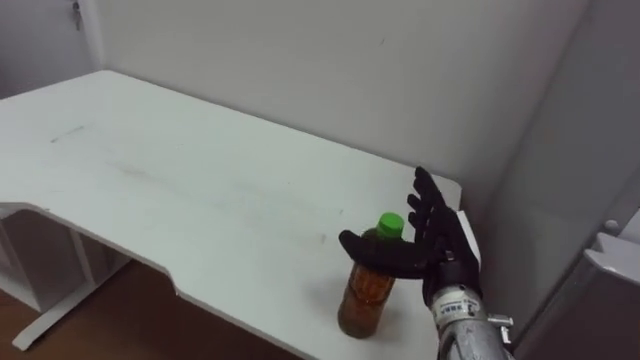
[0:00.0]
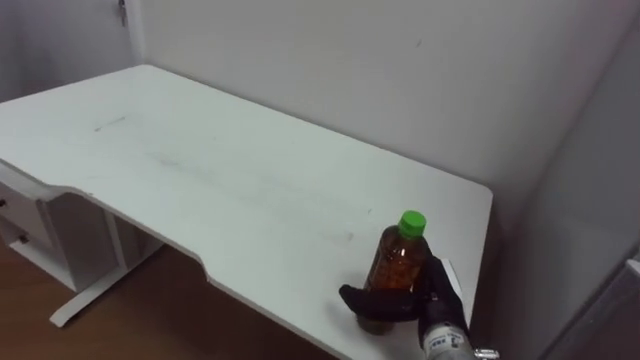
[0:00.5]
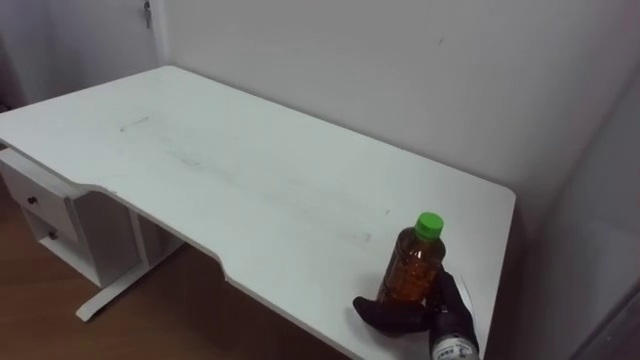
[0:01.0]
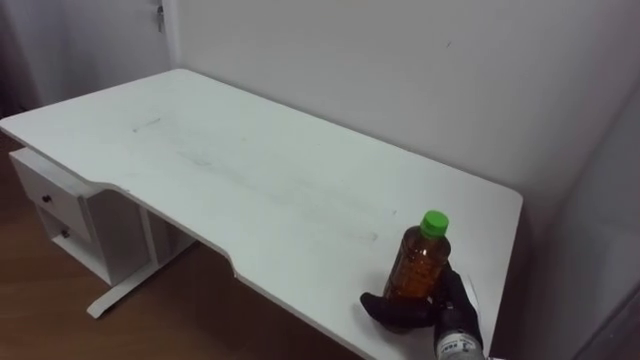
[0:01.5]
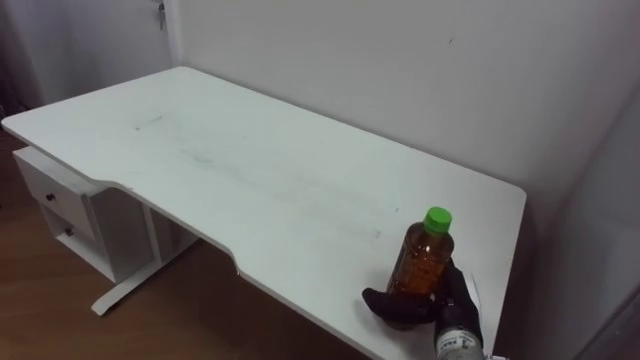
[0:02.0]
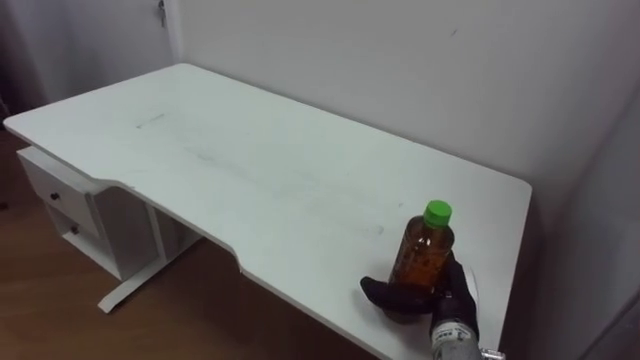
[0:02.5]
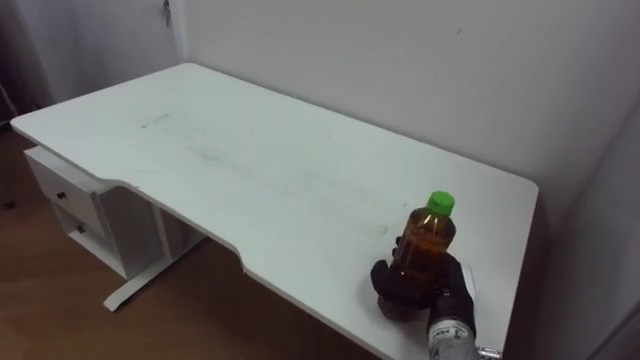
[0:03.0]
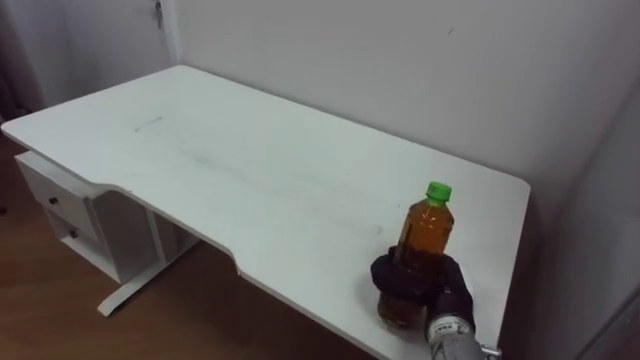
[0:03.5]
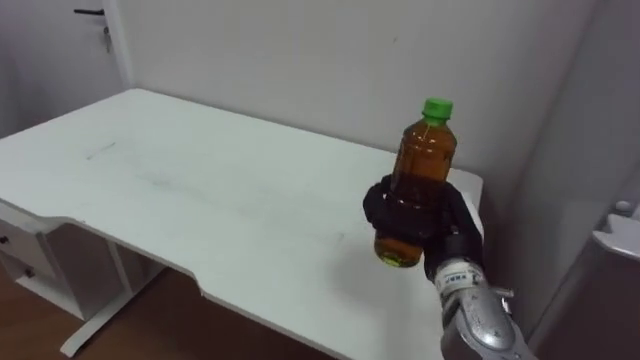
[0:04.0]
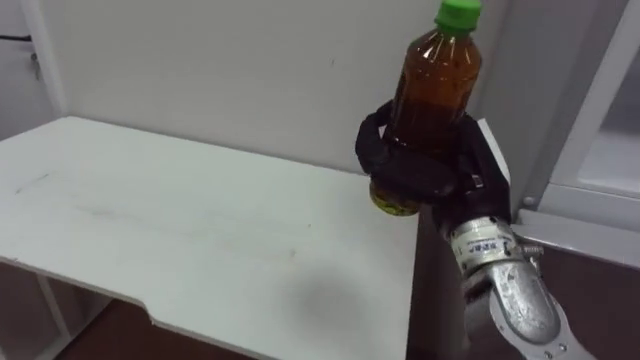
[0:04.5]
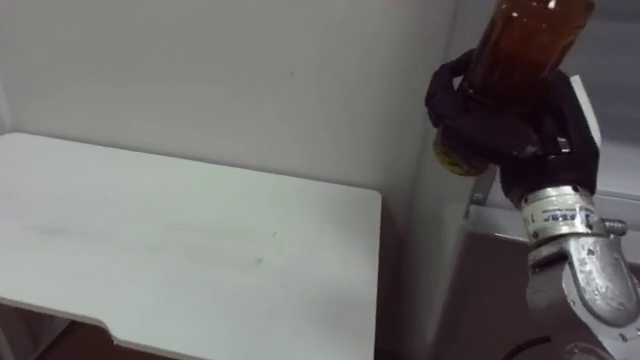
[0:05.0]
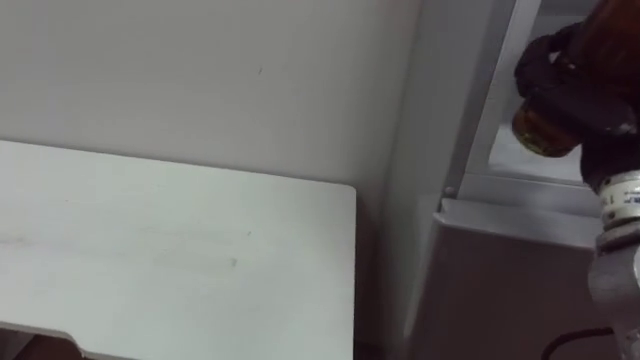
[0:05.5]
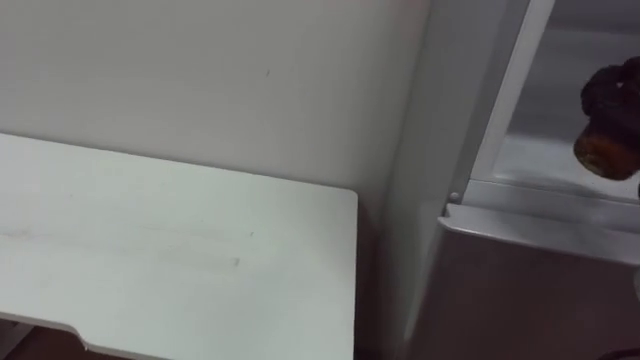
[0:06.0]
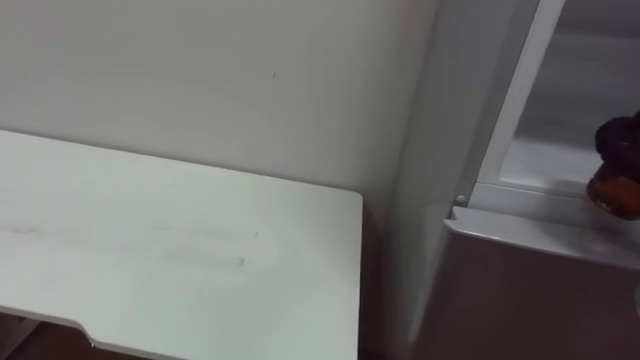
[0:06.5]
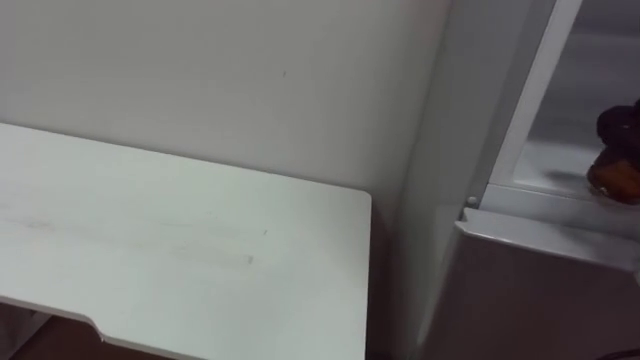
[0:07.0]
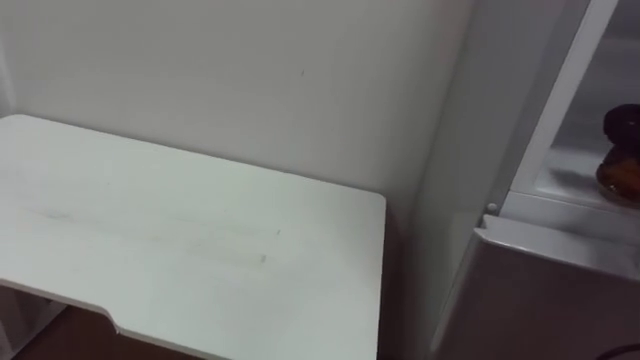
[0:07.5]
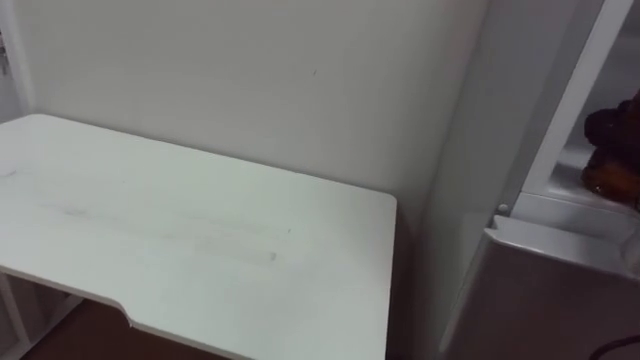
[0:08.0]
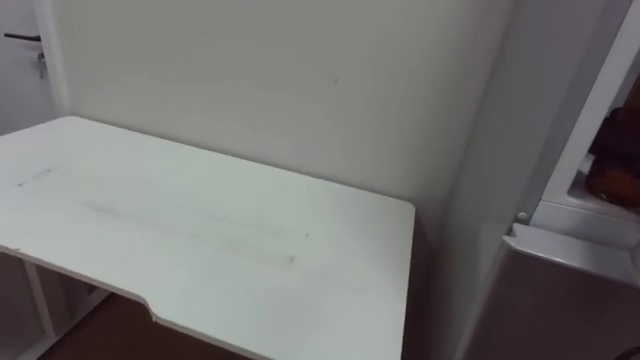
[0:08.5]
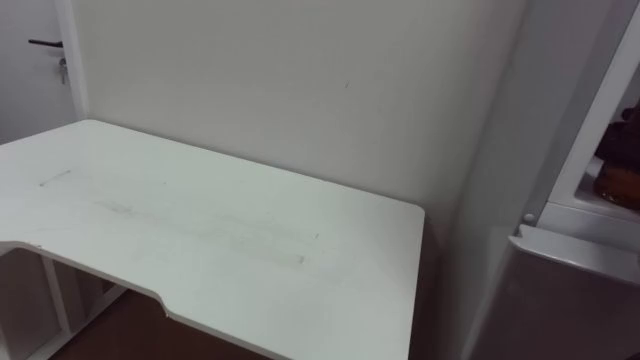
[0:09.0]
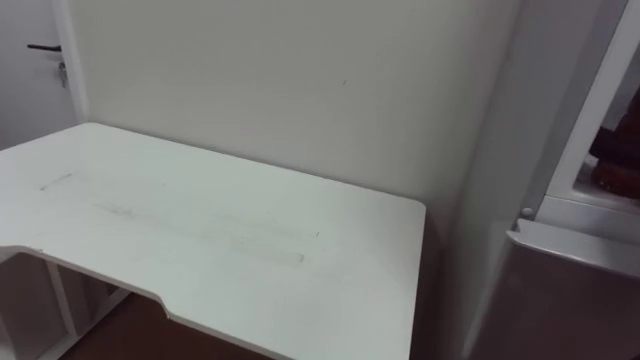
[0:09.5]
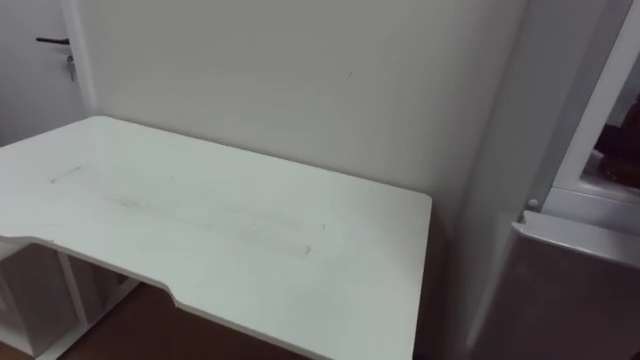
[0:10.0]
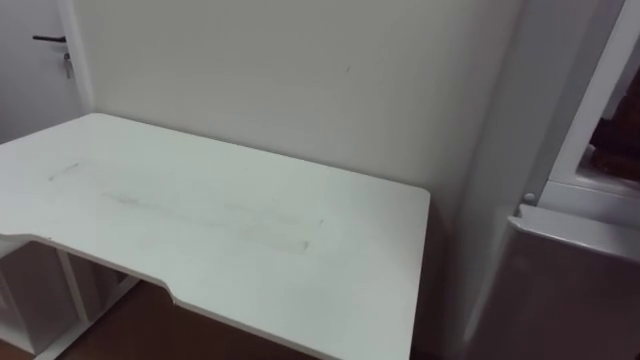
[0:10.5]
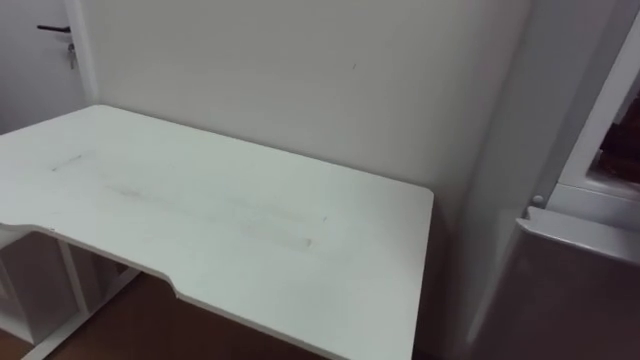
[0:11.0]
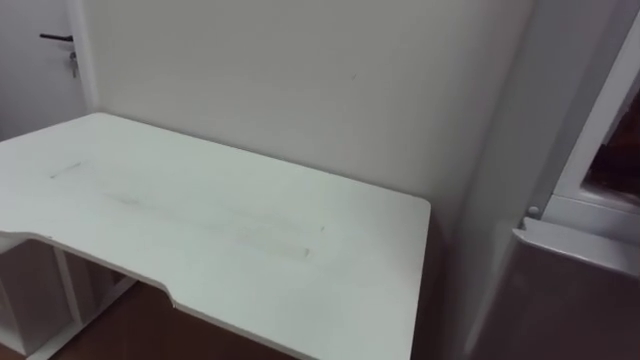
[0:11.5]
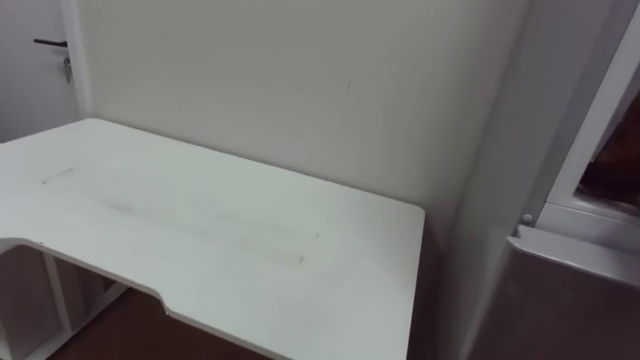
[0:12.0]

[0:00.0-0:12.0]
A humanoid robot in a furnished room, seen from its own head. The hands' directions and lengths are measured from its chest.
Task of the whole recording: Open the upper refrigerator door, put the drink from the table into the refrigerator, and then close the refrigerator door.
0:00.0 to 0:02.0: The right hand shifts some 10 cm downward.
0:02.0 to 0:04.0: The right hand goes approximately 10 cm upward, and closes up.

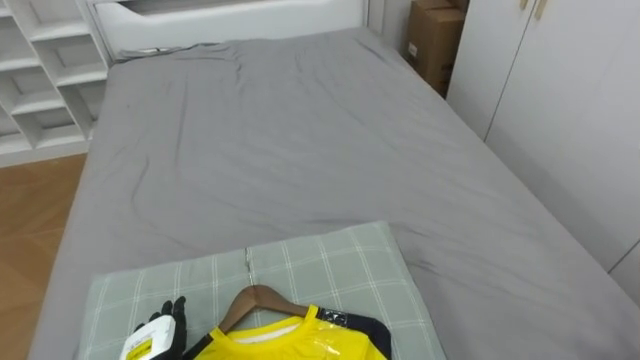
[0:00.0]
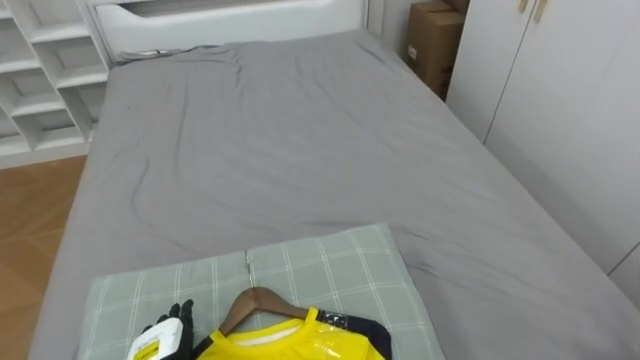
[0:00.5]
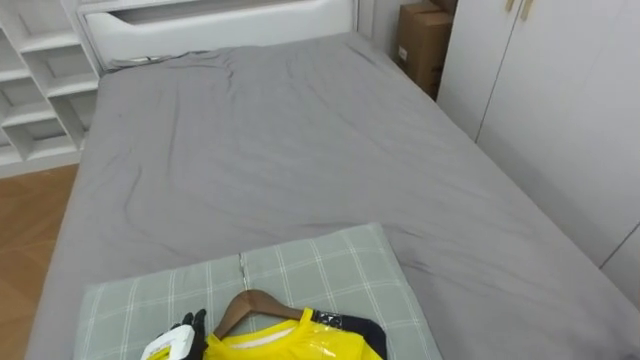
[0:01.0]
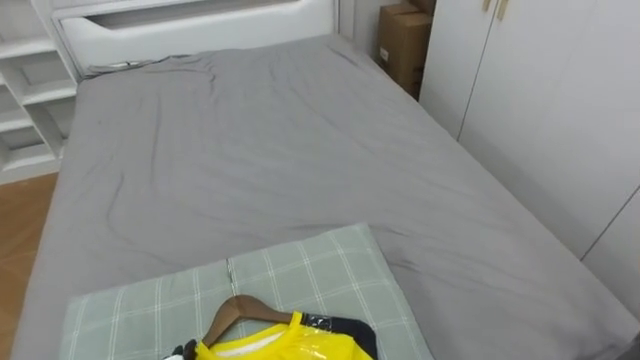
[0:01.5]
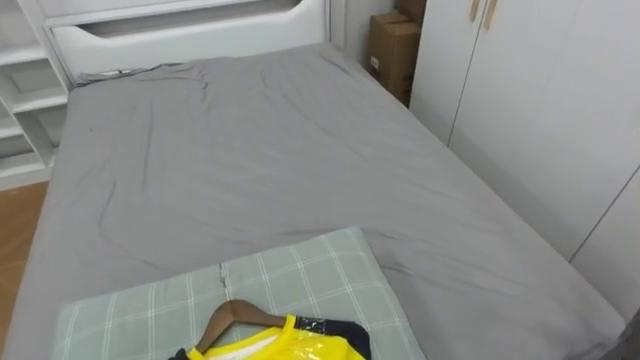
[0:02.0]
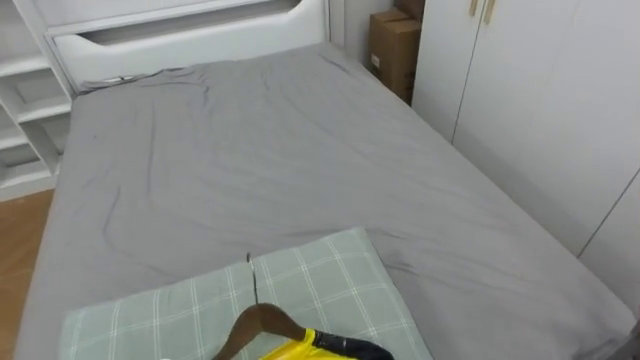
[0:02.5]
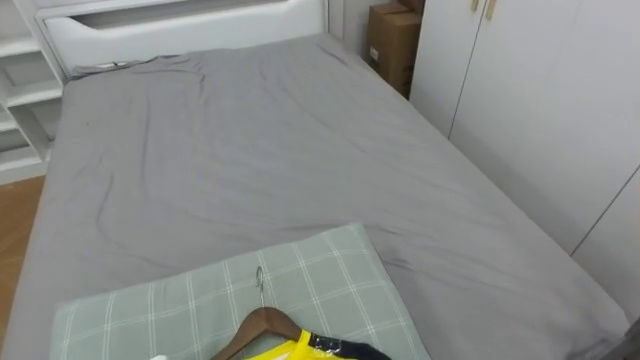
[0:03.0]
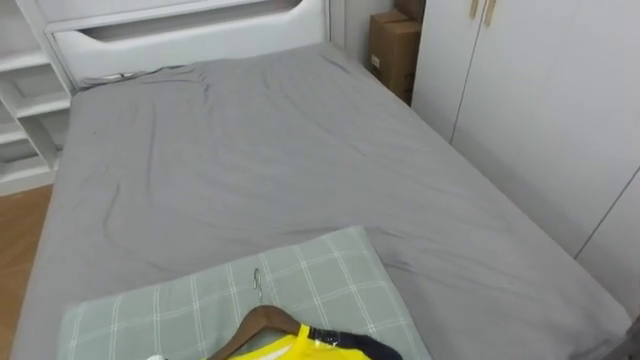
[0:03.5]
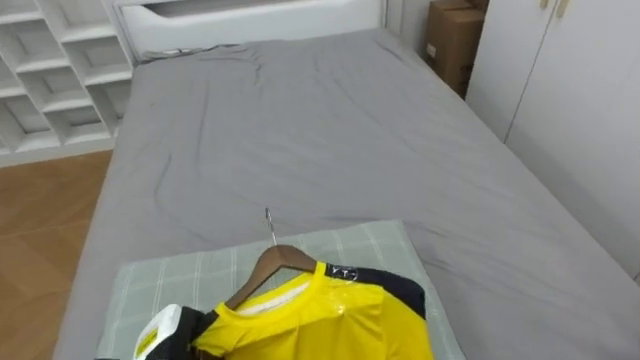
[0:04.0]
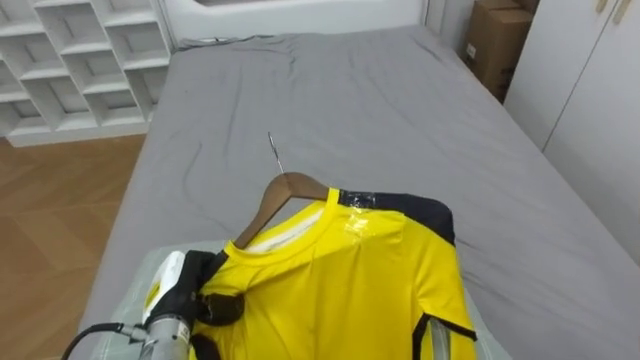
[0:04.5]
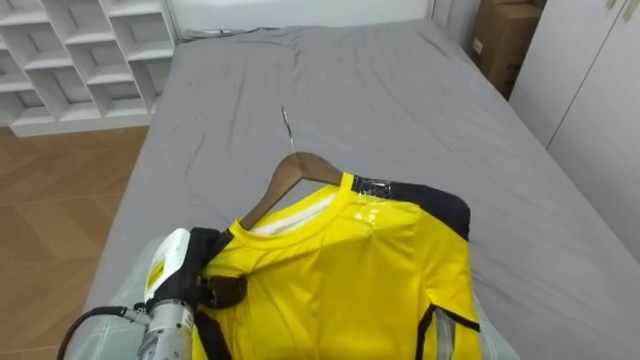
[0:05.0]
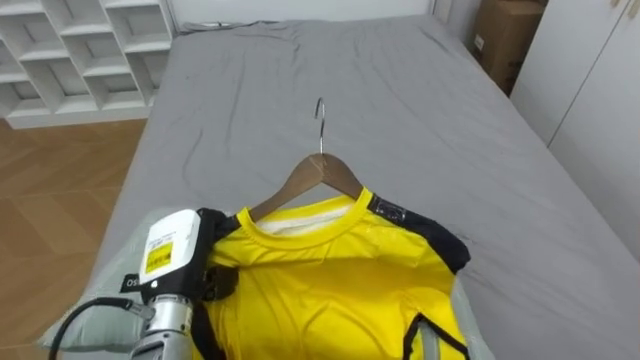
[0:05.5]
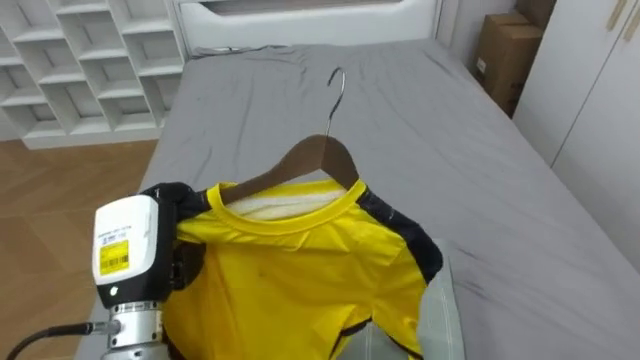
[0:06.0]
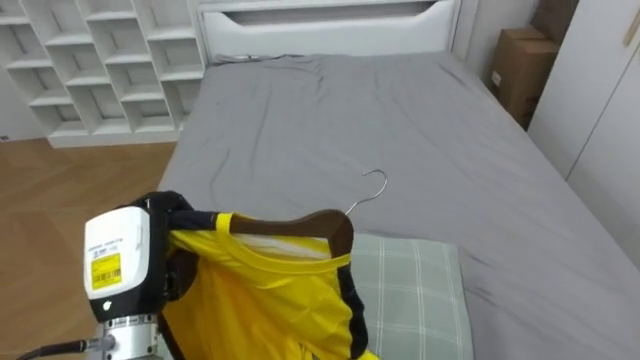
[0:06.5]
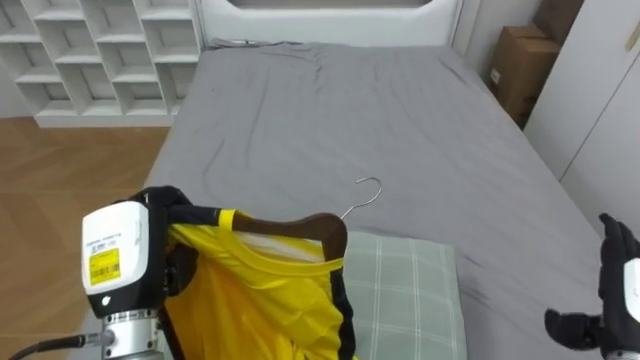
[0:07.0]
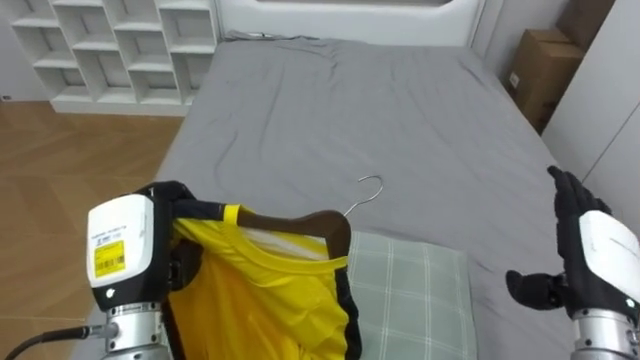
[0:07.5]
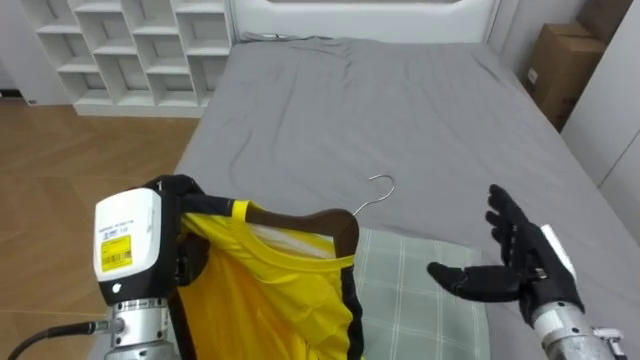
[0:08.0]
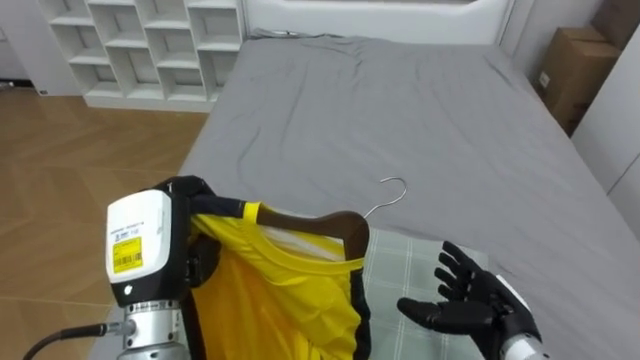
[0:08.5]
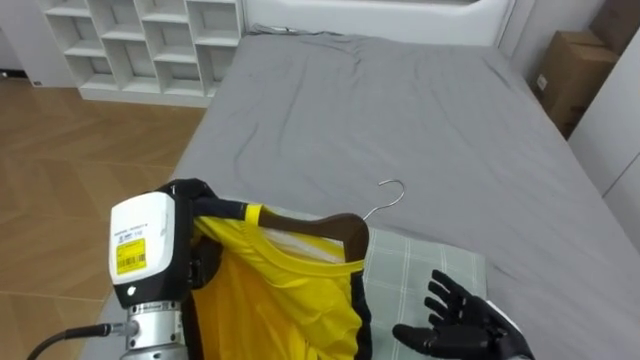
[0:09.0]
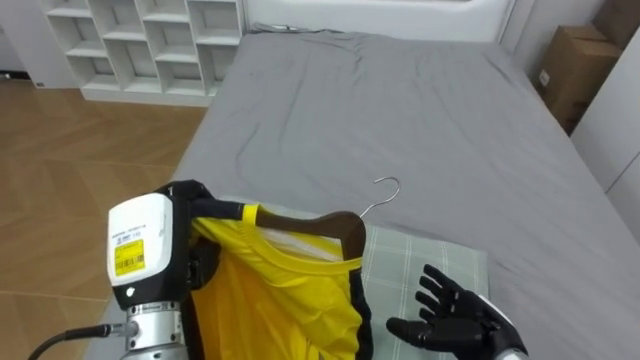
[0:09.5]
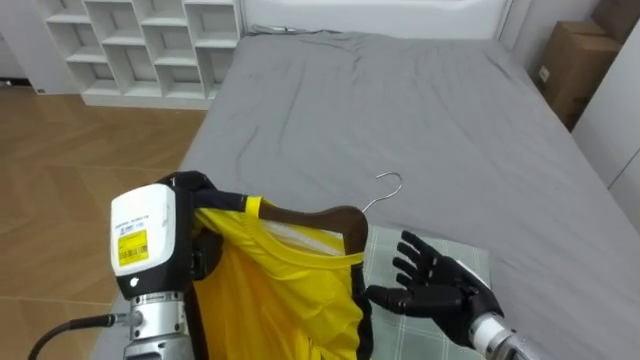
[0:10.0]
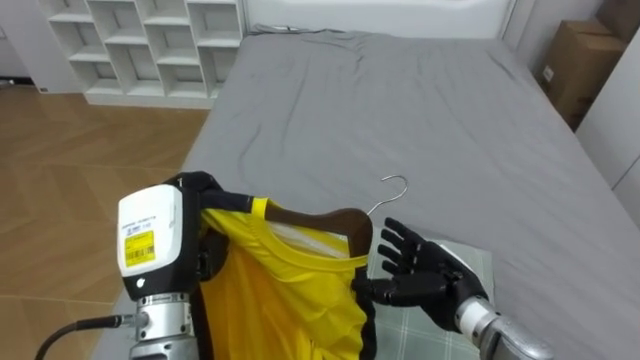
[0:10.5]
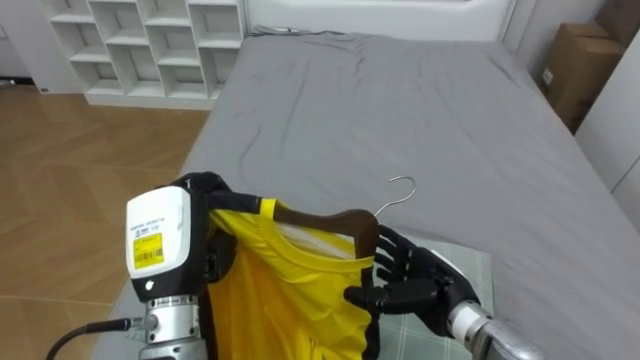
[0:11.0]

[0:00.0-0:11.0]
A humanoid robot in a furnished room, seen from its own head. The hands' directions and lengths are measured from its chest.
Task of the whole recording: Pick up the yellow shirt on the bed and hang it on the clothes rack on the right.
0:05.5 to 0:07.5: The left hand travels upward by about 5 cm.
0:07.5 to 0:09.0: The right hand shifts approximately 15 cm downward and to the left.
0:09.0 to 0:11.0: The right hand heads to the left, covering roughly 5 cm.
